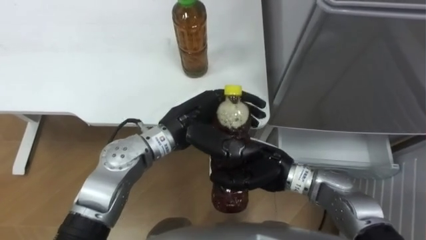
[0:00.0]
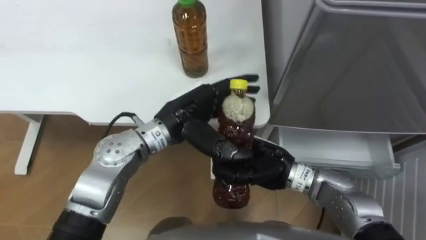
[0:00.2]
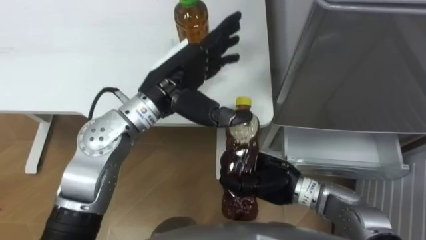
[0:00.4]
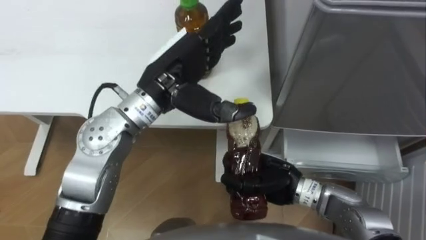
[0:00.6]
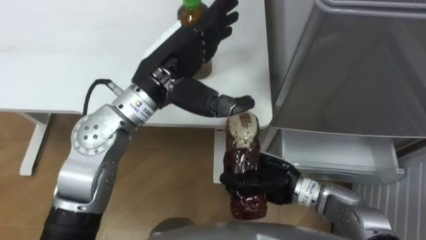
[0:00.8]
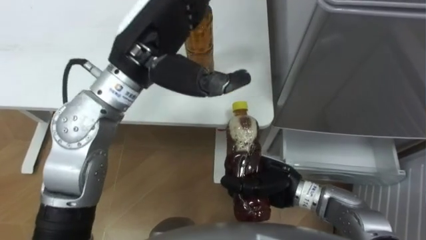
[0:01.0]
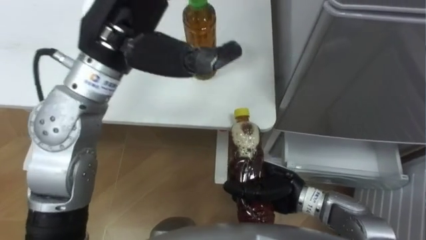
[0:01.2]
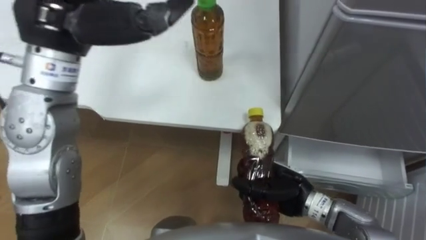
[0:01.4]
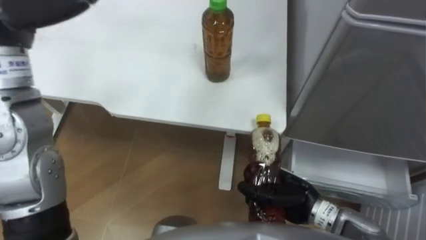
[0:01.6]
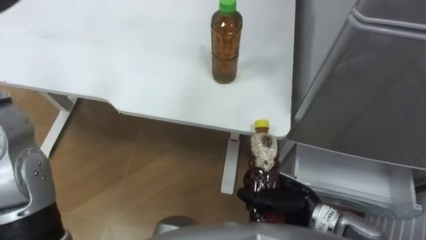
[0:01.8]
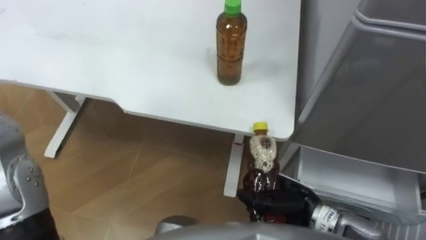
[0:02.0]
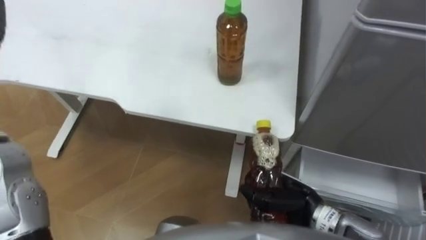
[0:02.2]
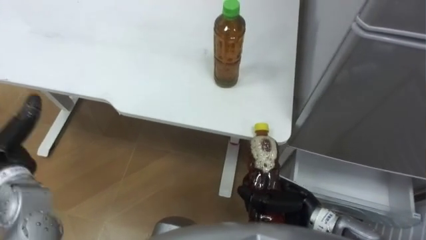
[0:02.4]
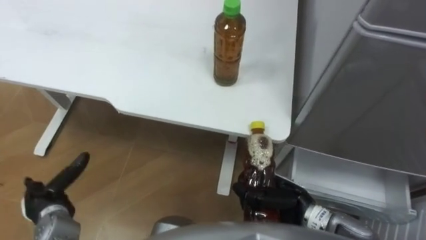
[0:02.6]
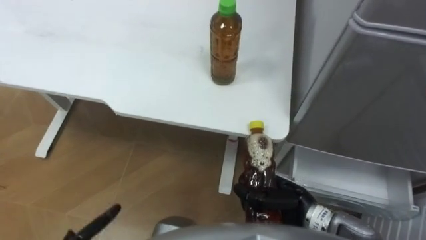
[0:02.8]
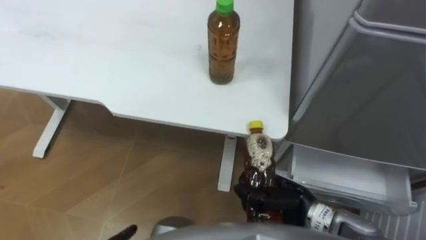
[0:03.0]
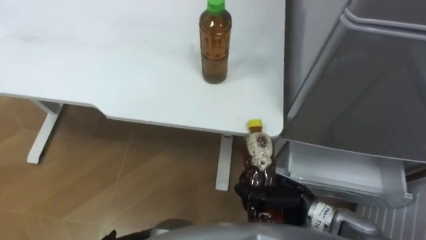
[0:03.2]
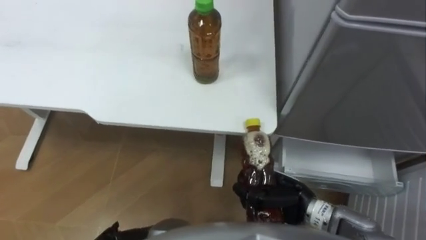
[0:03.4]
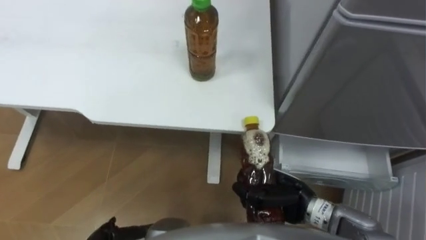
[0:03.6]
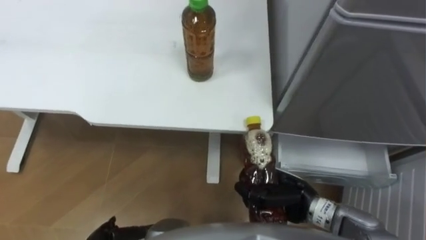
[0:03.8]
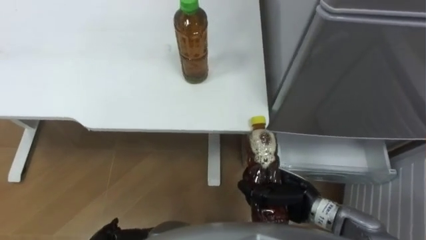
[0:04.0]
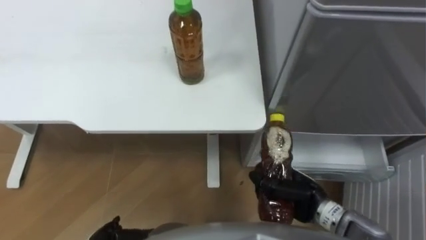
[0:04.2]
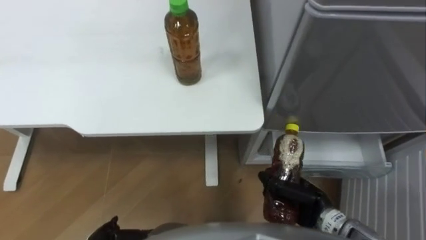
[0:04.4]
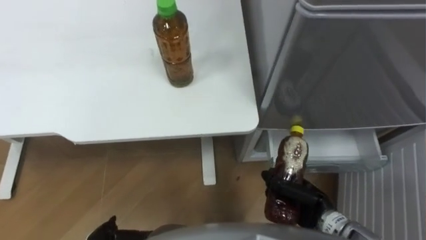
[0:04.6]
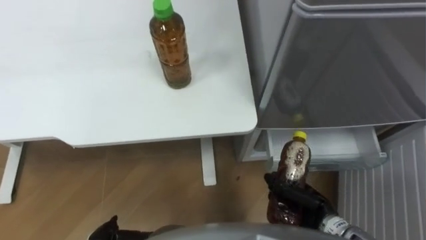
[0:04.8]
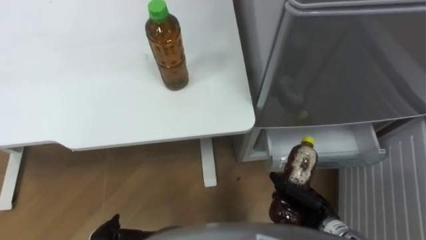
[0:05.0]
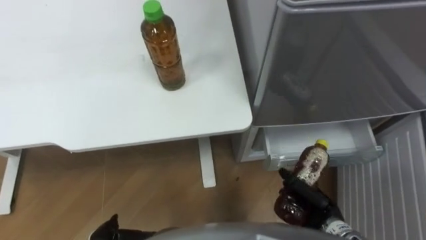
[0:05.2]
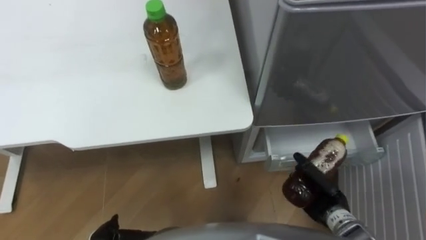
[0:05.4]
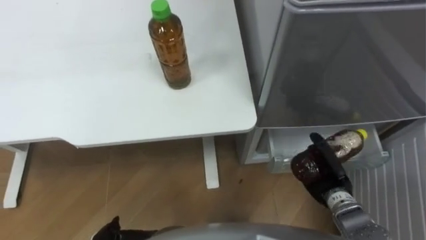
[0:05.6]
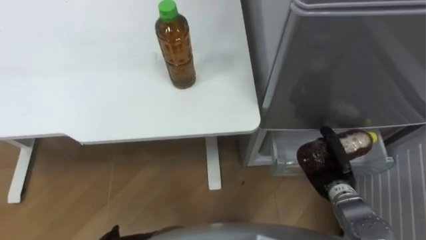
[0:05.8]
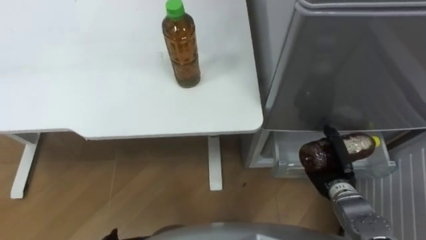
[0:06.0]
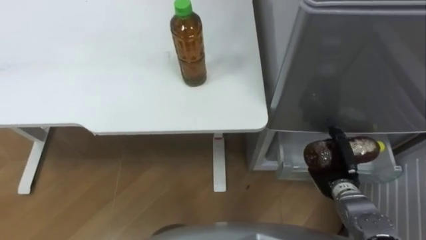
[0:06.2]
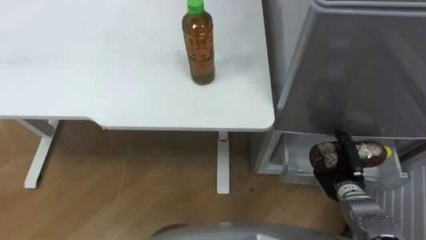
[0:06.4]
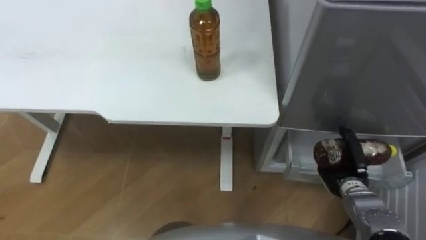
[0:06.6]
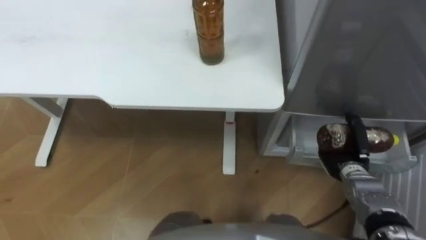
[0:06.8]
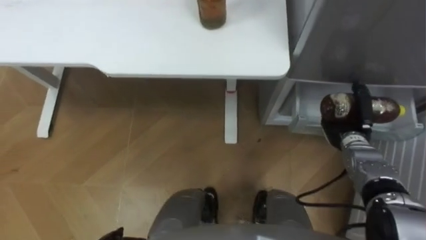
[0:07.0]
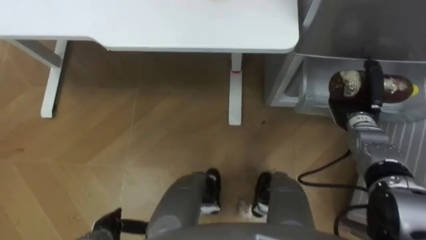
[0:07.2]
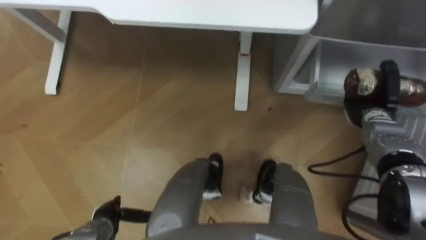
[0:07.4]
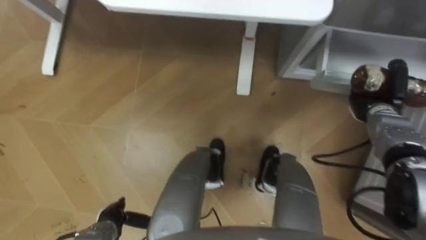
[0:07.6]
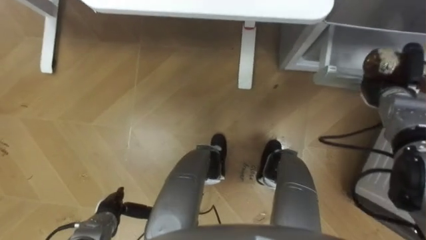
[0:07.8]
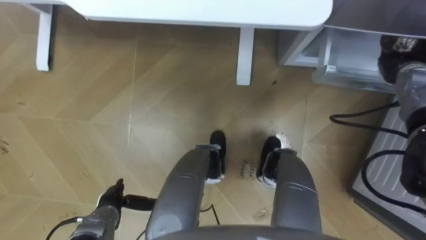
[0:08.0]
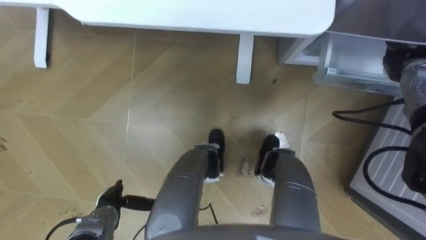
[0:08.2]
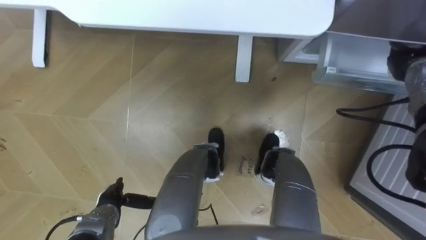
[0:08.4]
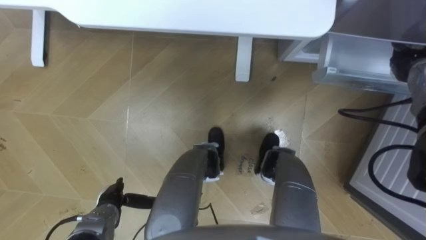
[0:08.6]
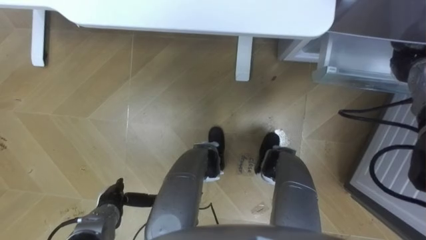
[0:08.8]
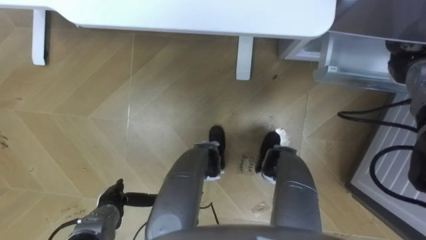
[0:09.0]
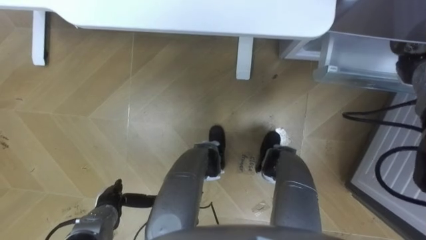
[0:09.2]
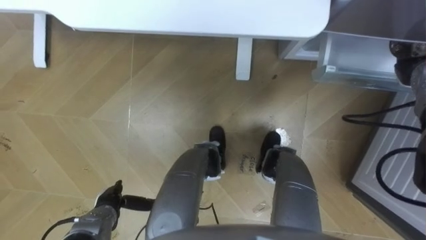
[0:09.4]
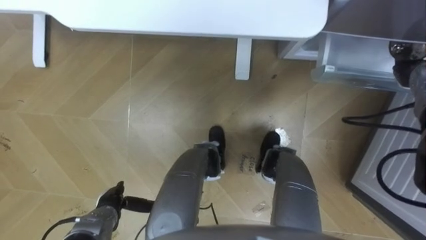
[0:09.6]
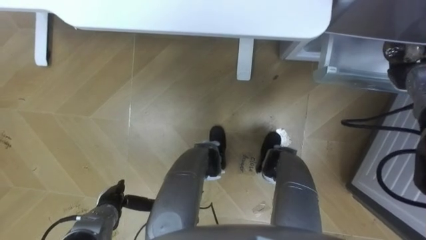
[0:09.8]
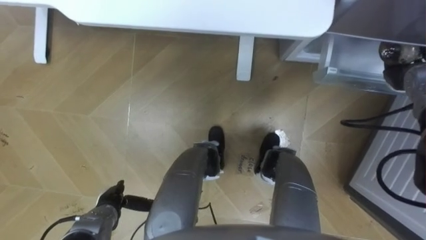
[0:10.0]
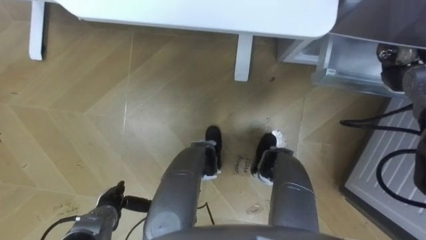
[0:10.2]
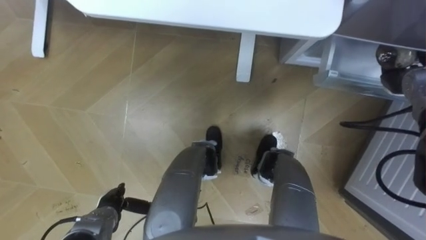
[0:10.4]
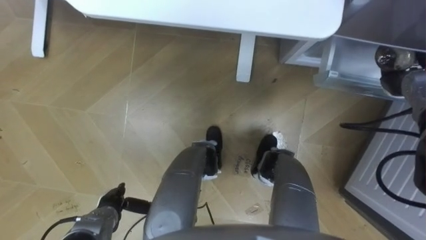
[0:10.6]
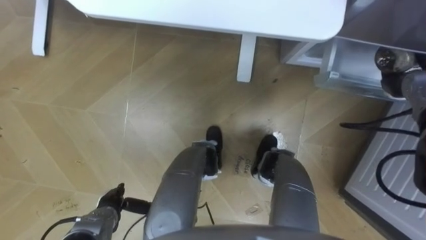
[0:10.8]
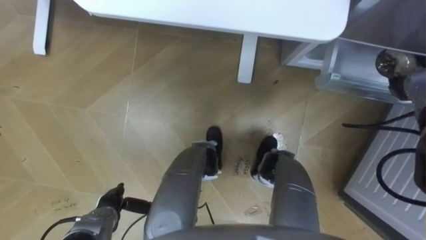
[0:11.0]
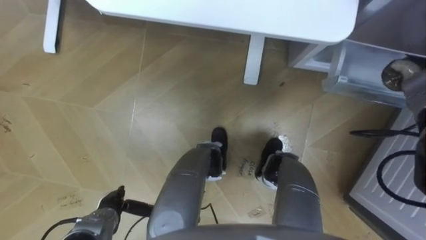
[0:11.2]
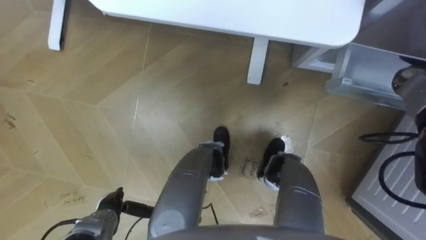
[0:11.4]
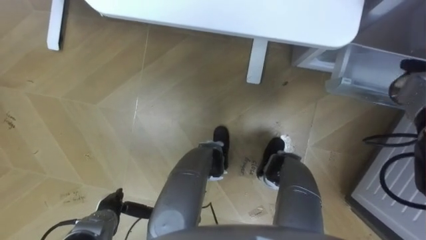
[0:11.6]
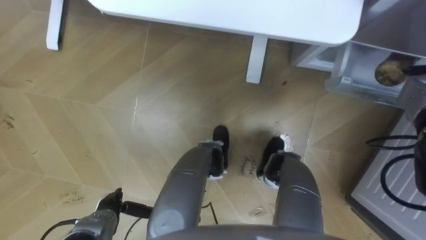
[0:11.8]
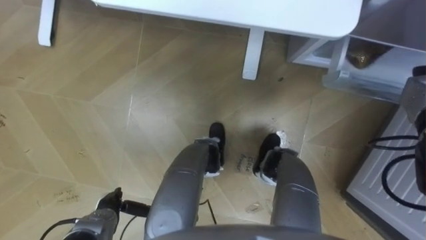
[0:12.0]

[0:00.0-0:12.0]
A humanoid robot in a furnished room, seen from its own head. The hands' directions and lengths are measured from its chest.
Task of the whole recording: Place the drink on the table on the bottom shelf of the refrigerator, then close the drawer and the refrigerator door.
0:00.0 to 0:01.6: The right hand moves to the right, about 5 cm.
0:03.0 to 0:04.4: The right hand shifts by about 5 cm.
0:04.4 to 0:06.0: The right hand goes approximately 10 cm to the right and forward.
0:06.0 to 0:07.6: The right hand travels forward, to the right and upward by approximately 15 cm.
0:07.6 to 0:09.0: The right hand is displaced upward and forward by about 10 cm.
0:09.0 to 0:10.4: The right hand opens its fingers.

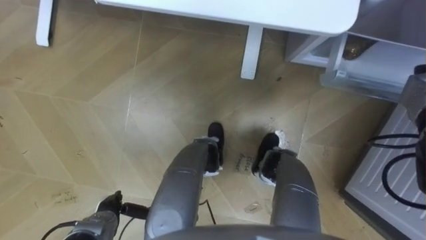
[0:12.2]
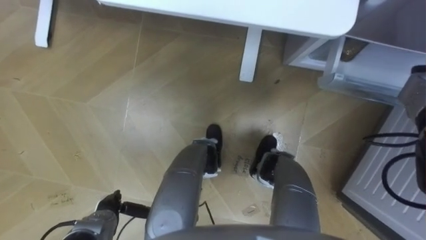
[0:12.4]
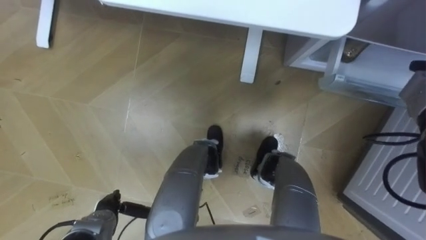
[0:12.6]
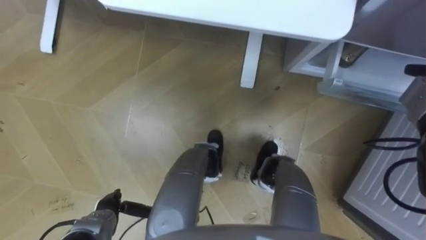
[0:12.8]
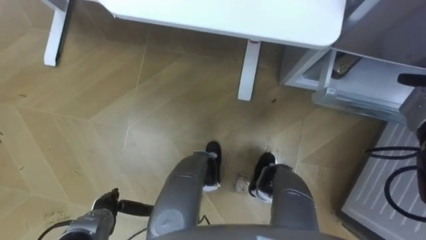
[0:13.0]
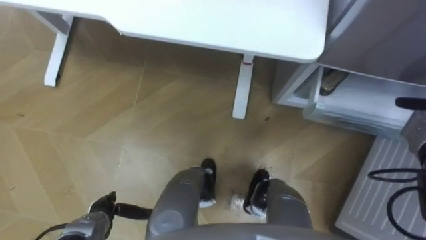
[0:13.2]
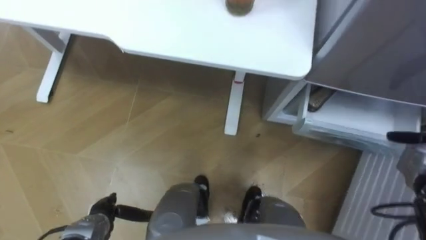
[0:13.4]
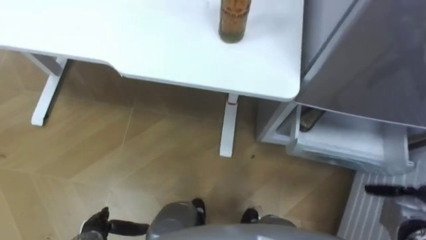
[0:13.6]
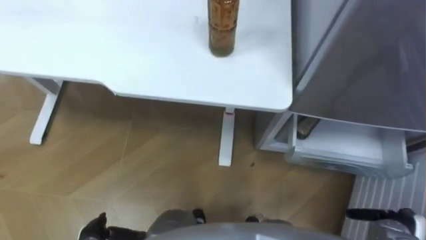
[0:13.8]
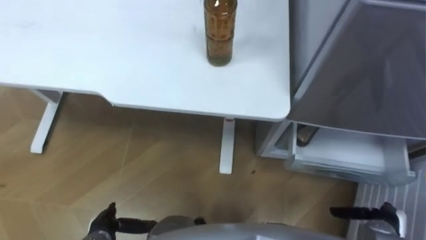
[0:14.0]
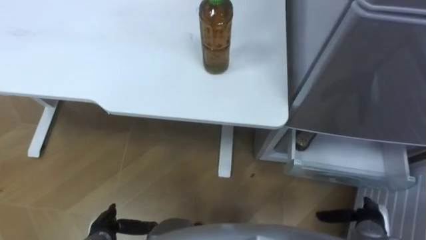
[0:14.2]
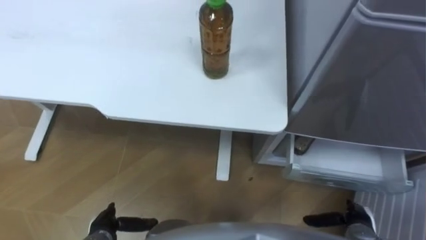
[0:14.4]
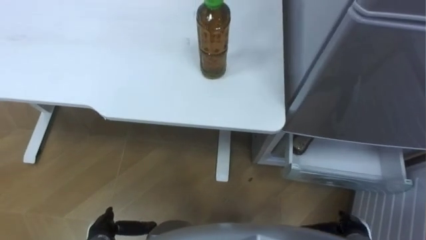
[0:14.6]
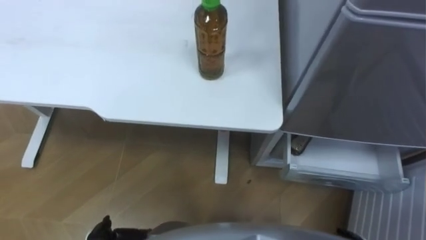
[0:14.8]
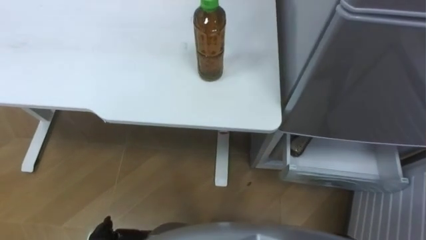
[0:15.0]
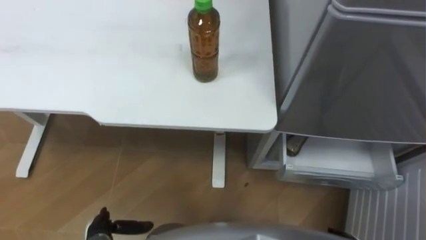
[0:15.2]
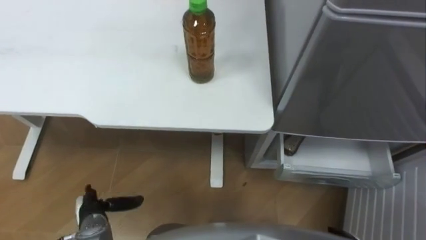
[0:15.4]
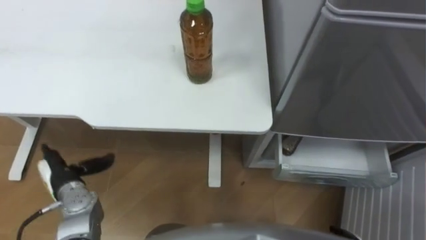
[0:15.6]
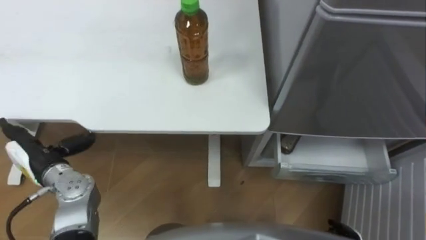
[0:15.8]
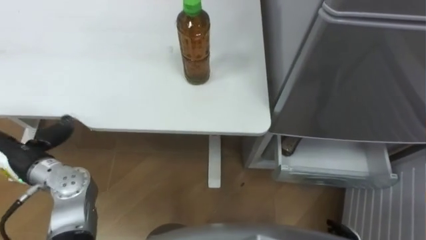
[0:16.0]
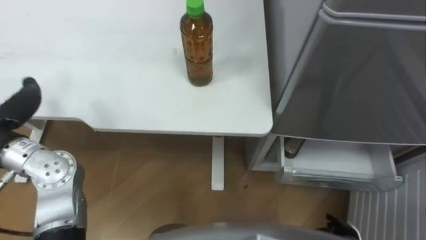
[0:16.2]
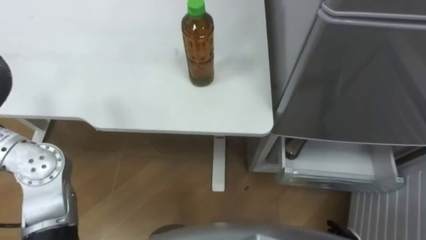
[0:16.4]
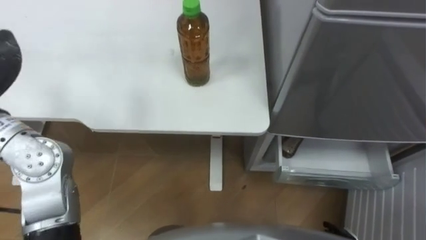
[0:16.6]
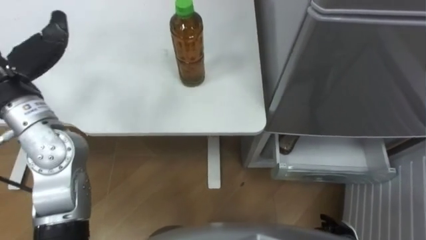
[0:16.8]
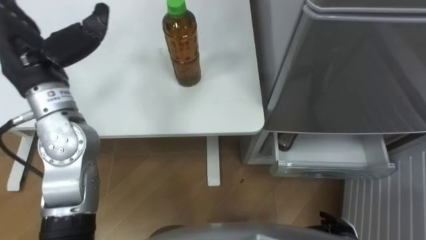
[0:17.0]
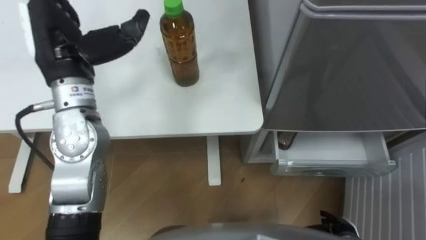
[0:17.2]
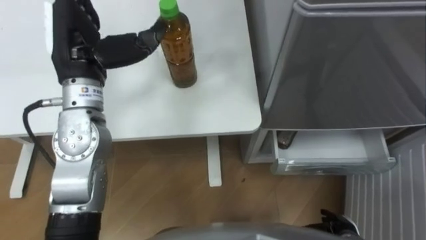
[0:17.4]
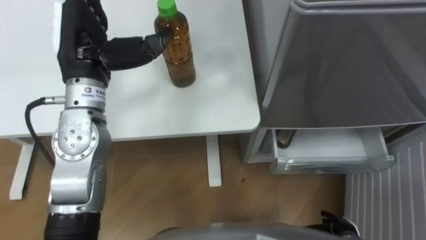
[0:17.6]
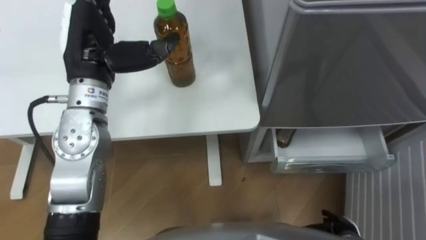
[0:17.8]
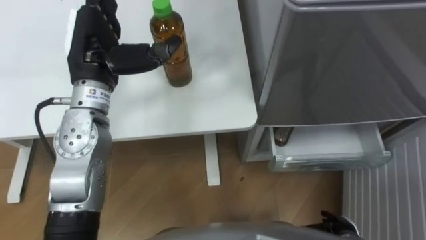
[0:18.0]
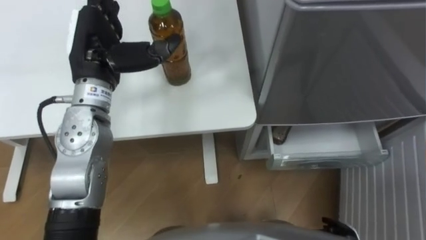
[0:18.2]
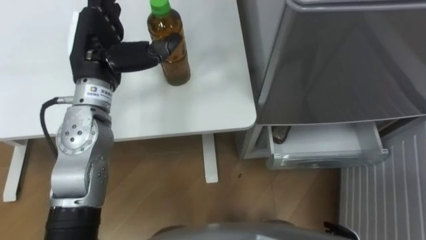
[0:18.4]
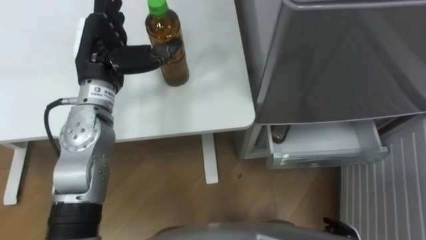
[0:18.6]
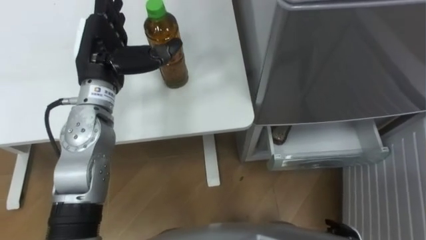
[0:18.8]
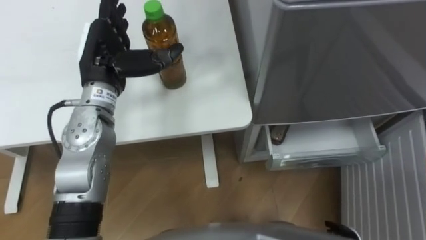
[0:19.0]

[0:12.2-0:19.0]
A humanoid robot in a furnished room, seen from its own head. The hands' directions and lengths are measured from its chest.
Task of the whole recording: Place the drink on the table on the bottom shelf of the refrigerator, then close the drawer and the refrigerator door.
0:17.6 to 0:19.0: The left hand changes place by roughly 5 cm.
